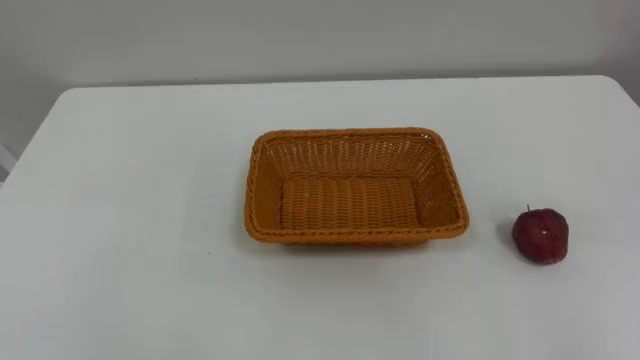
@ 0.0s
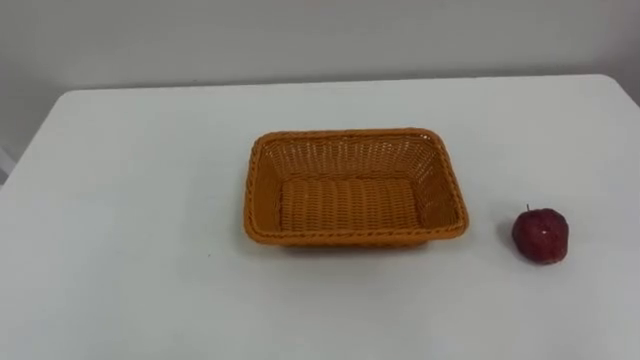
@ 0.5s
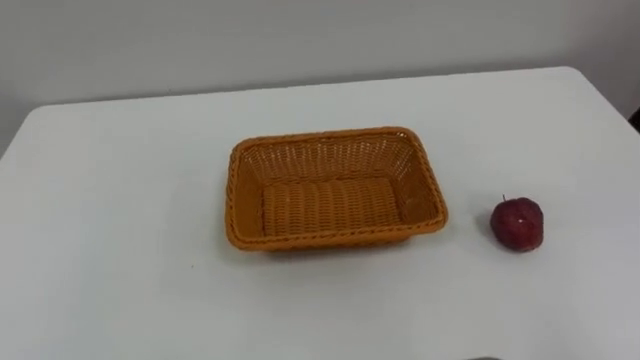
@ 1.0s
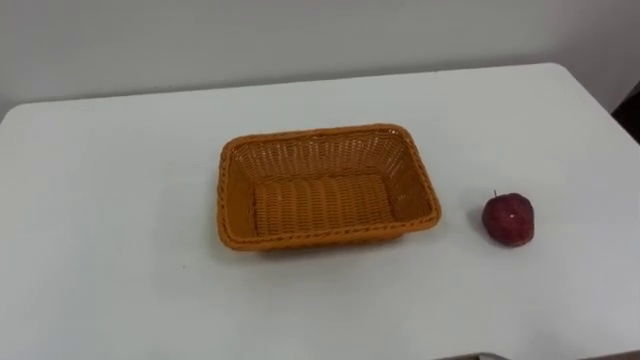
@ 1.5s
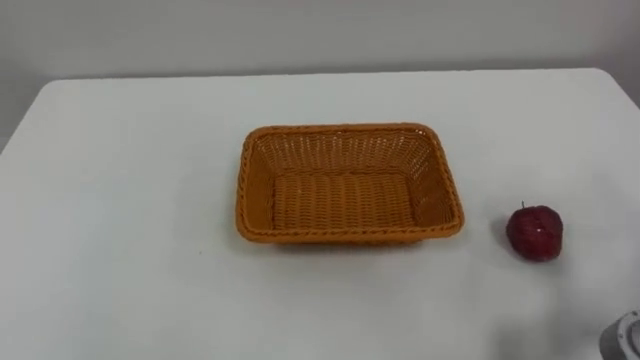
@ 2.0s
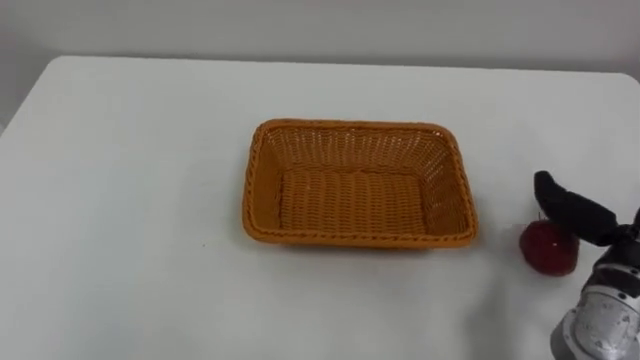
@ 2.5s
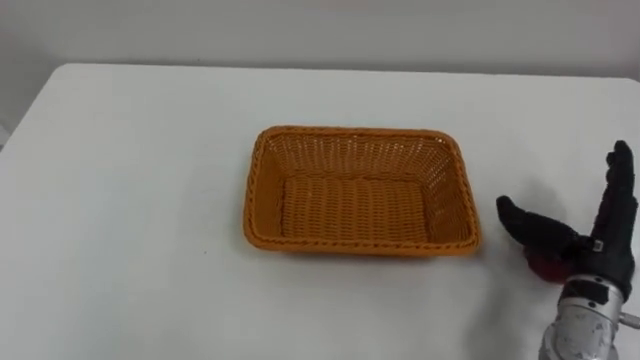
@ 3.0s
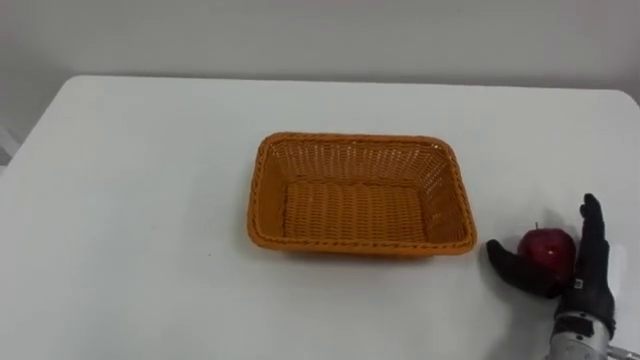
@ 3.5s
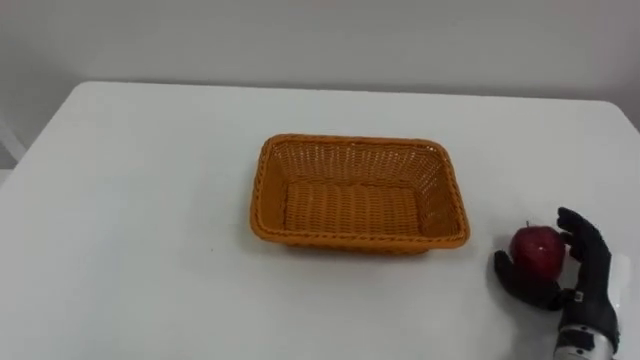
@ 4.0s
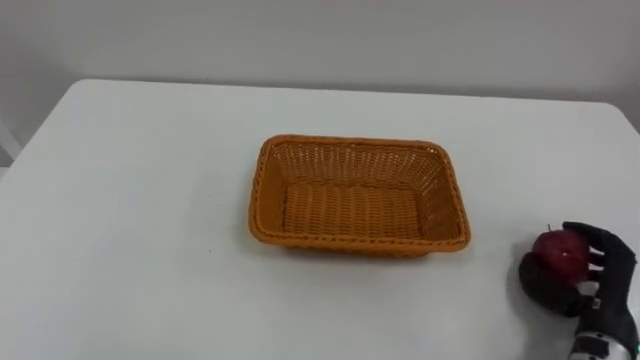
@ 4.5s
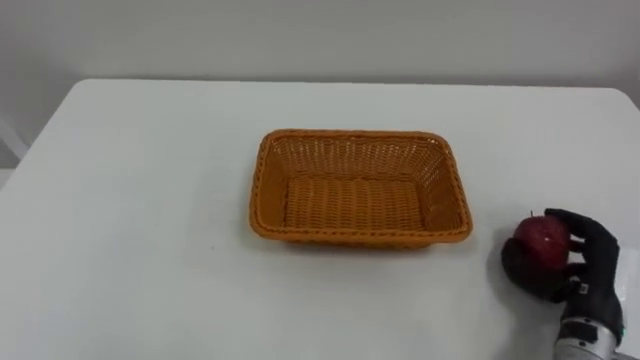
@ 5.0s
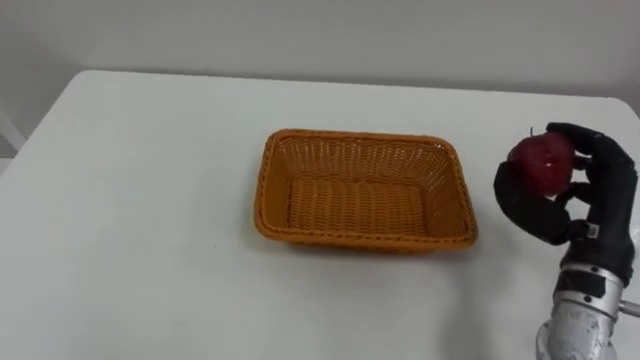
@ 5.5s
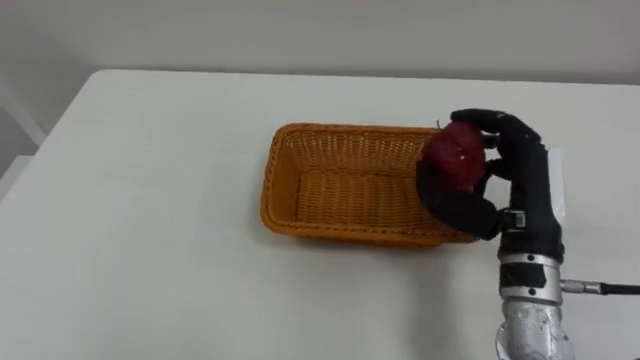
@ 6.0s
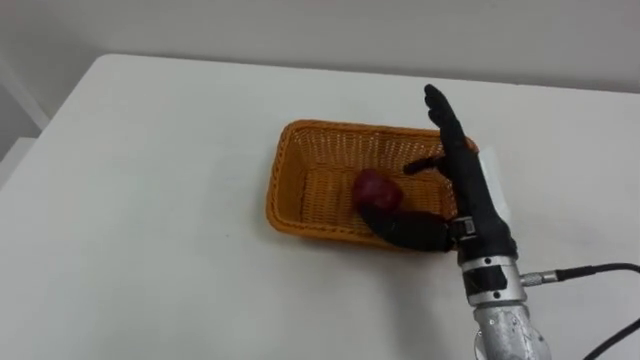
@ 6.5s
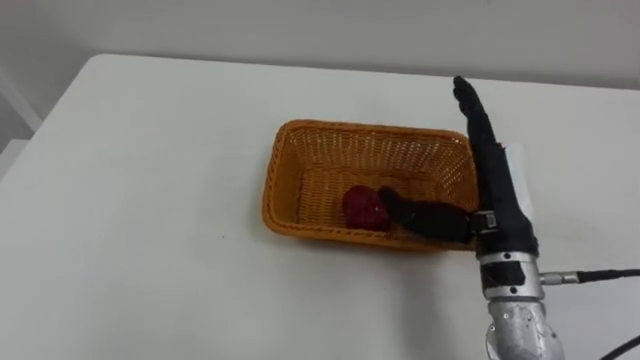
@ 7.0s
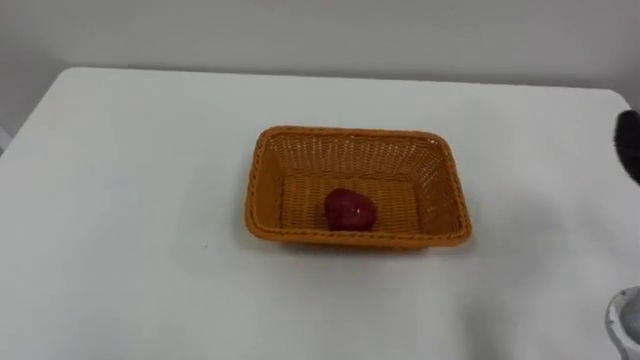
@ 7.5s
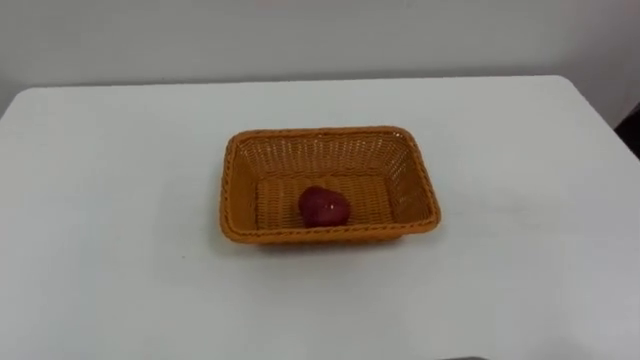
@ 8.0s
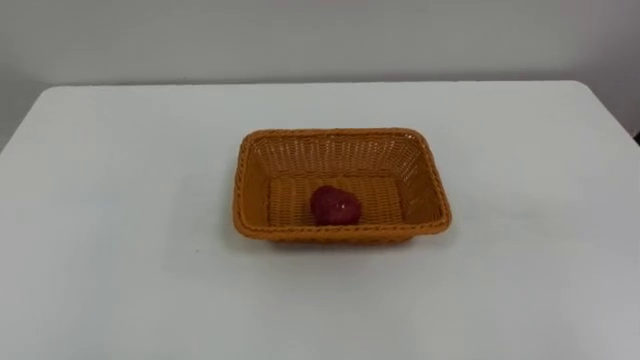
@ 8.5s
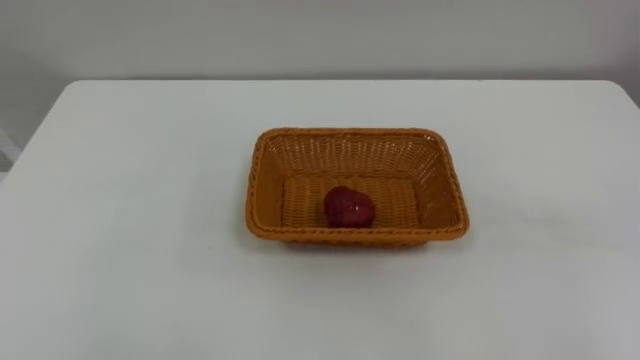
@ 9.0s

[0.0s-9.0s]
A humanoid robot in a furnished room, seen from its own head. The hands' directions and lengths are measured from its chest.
Task of the whole recording: Pick the apple and place it in the box.
4.5s to 7.0s: The right hand is displaced to the left, upward and forward by approximately 20 cm, and opens its fingers.

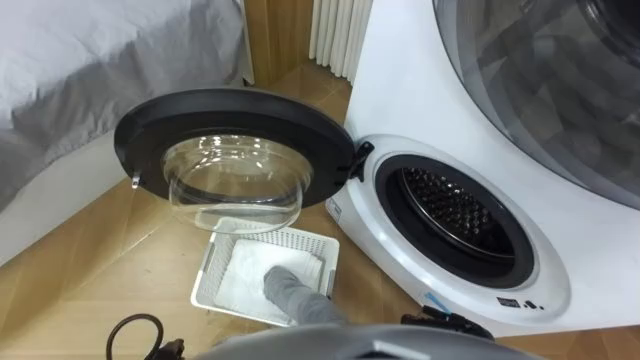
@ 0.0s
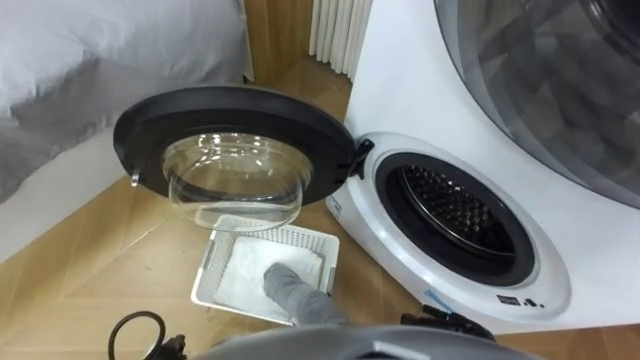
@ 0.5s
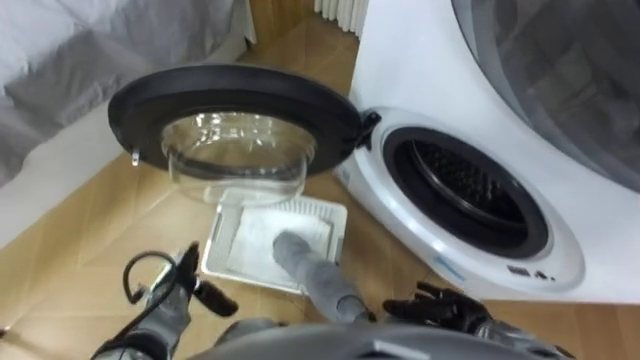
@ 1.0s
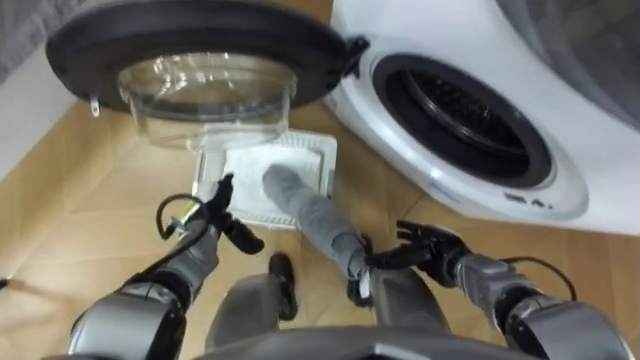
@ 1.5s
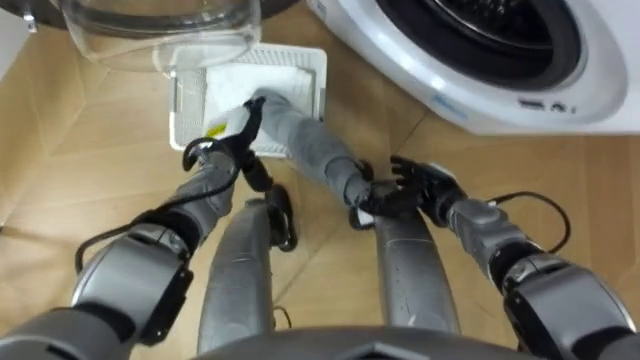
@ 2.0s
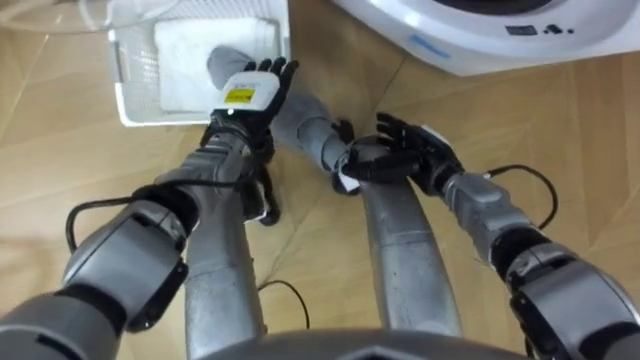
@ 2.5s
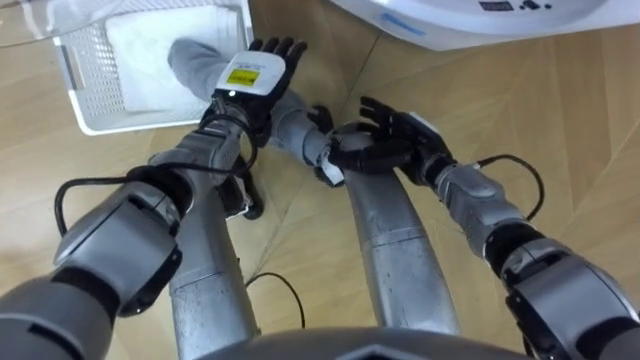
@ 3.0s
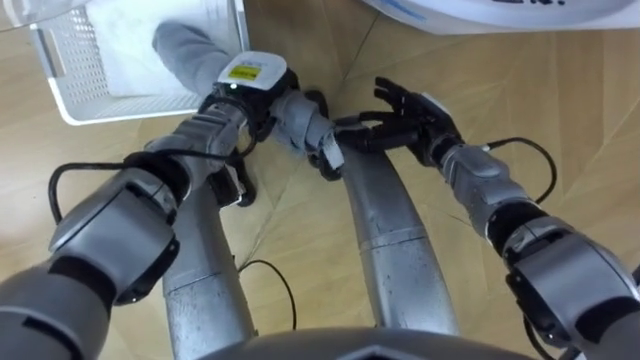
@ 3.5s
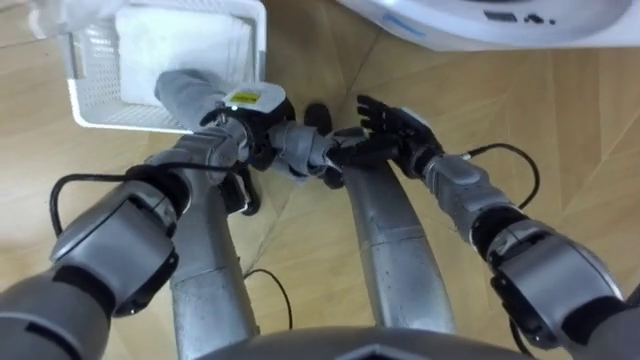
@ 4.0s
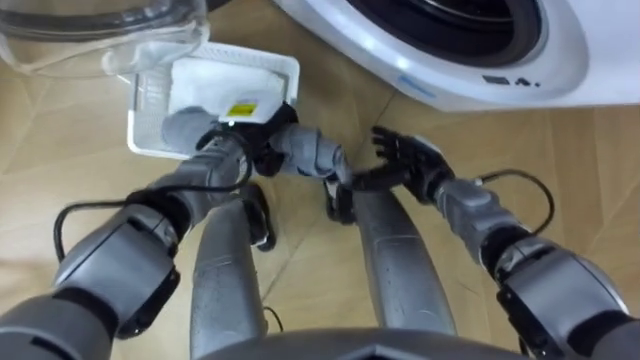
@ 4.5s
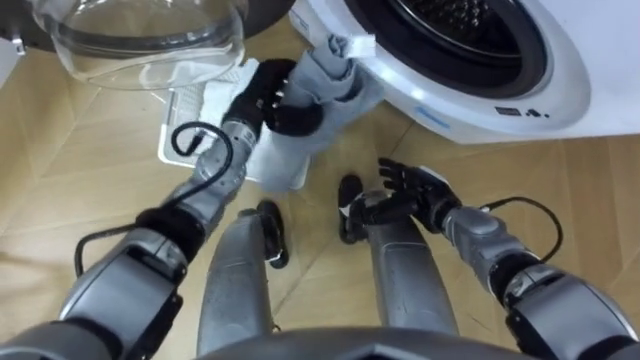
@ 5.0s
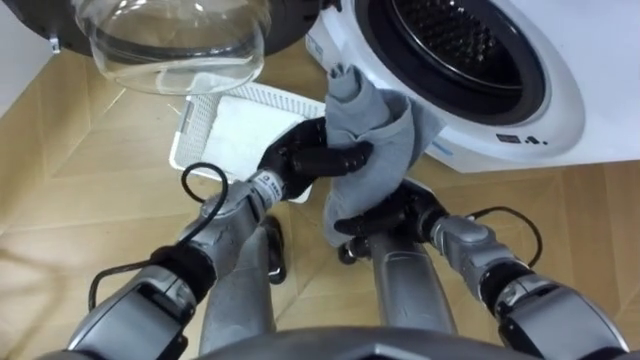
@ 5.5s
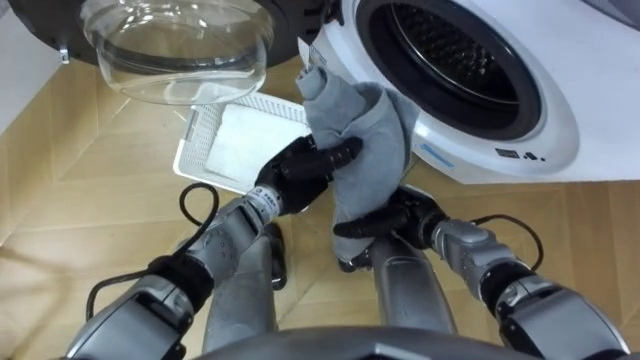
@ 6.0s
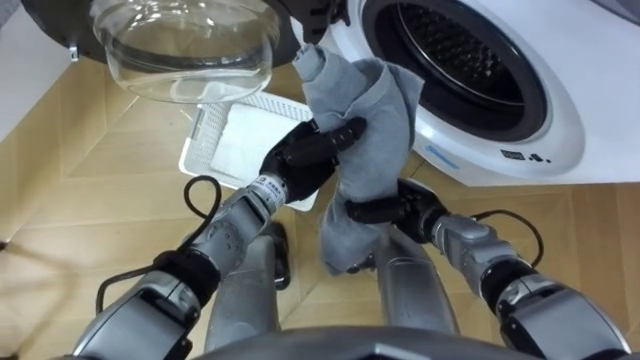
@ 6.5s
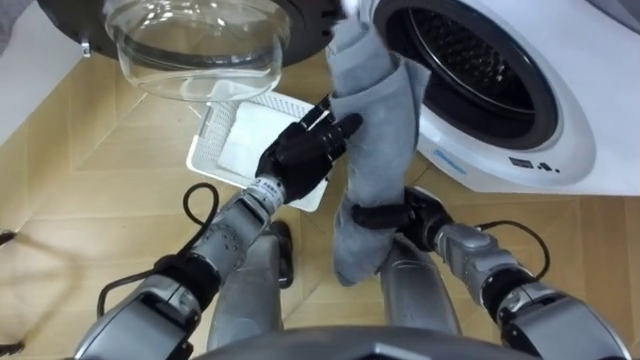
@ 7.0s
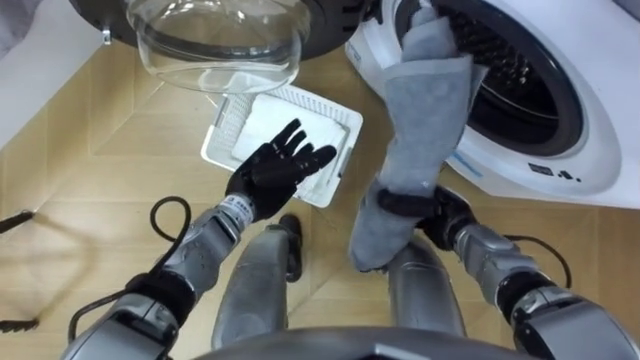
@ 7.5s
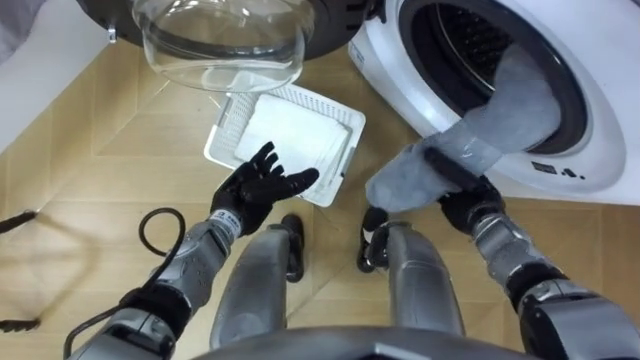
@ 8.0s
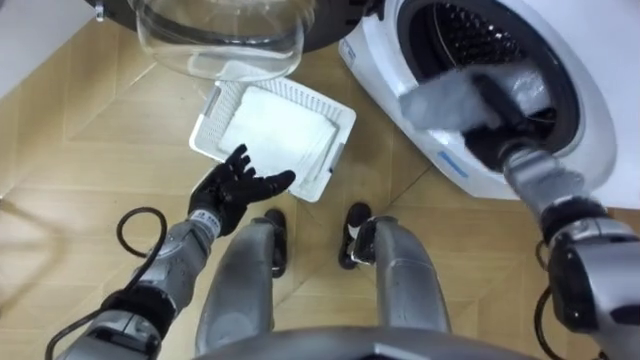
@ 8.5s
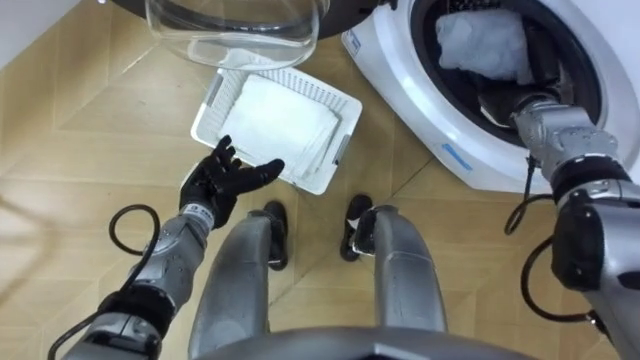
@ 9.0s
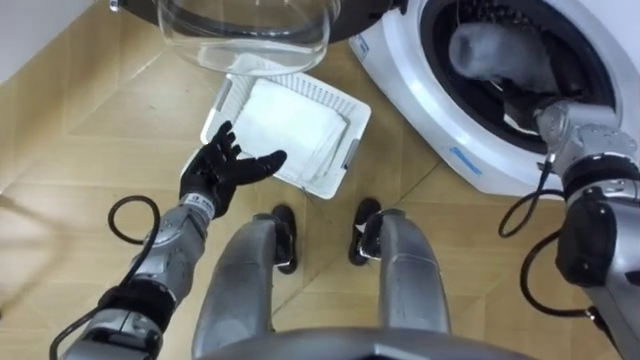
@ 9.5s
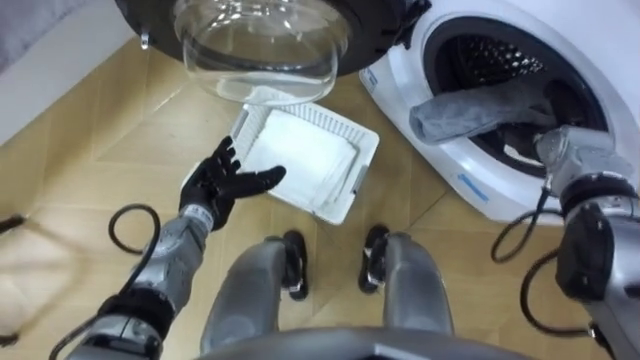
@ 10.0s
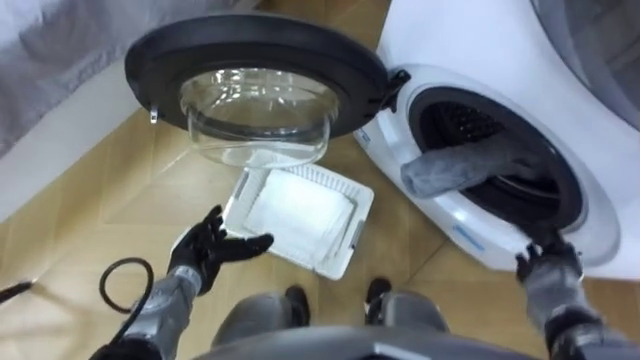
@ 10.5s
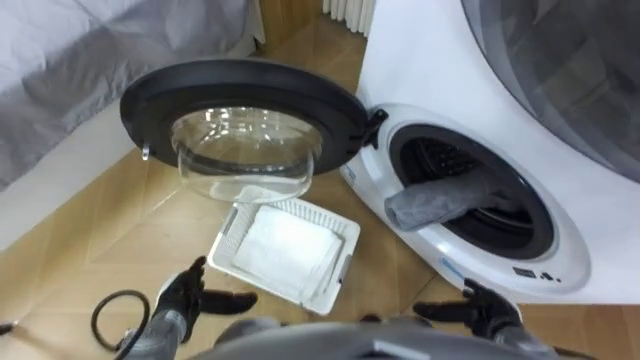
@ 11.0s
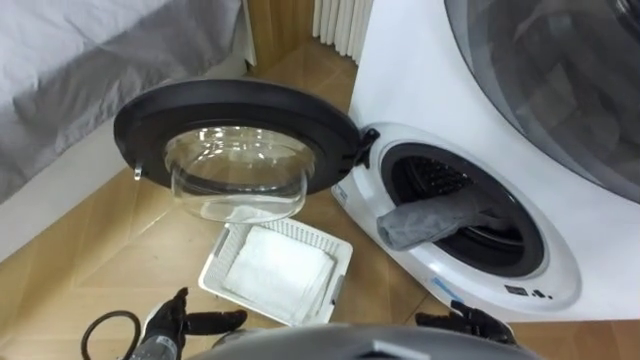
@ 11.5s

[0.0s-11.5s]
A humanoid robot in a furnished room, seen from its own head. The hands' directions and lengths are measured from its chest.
Task of the whole recording: Take the towel from the basket and put it into the washing machine.
2.0s to 4.0s: The right hand shifts approximately 10 cm forward, upward and to the left. Meanwhile the left hand closes up.
4.0s to 6.0s: The right hand heads backward and downward, covering some 10 cm, while the left hand travels backward and to the right by approximately 10 cm.
6.0s to 7.5s: The right hand is displaced to the right by roughly 5 cm, and closes. The left hand heads to the left, covering about 5 cm, and opens up.
7.5s to 9.5s: The left hand shifts about 10 cm to the left, while the right hand shifts some 20 cm to the right, forward and upward, and opens.
9.5s to 11.5s: The left hand goes about 25 cm backward and downward, while the right hand heads backward and downward, covering about 35 cm.
